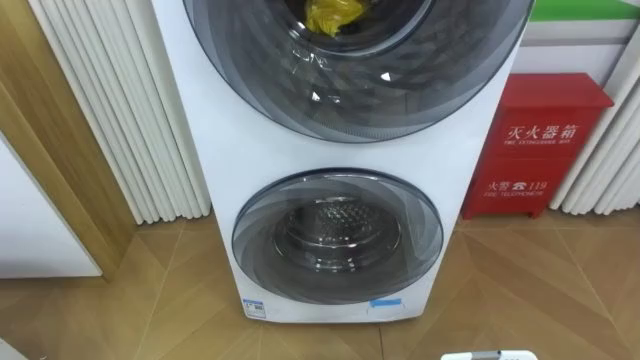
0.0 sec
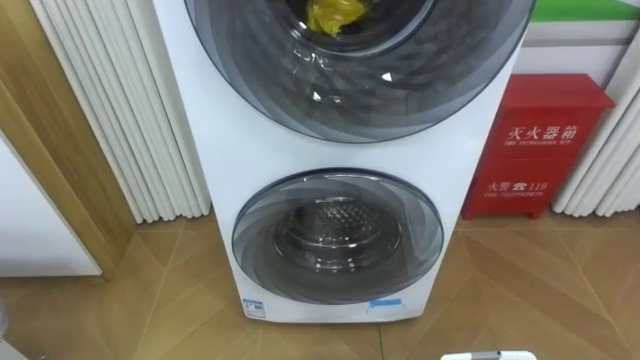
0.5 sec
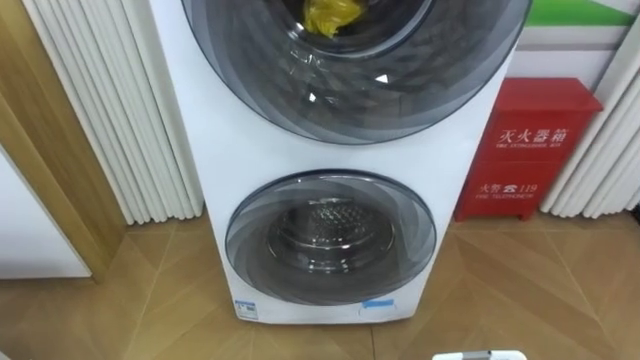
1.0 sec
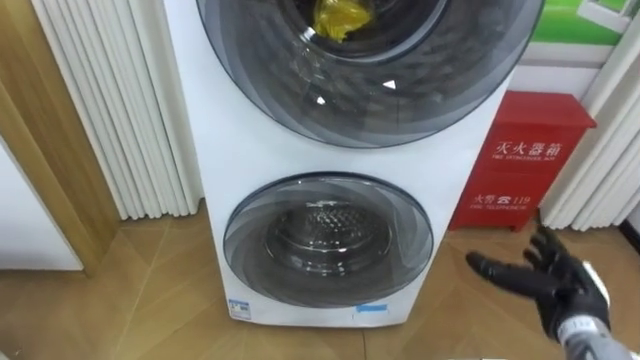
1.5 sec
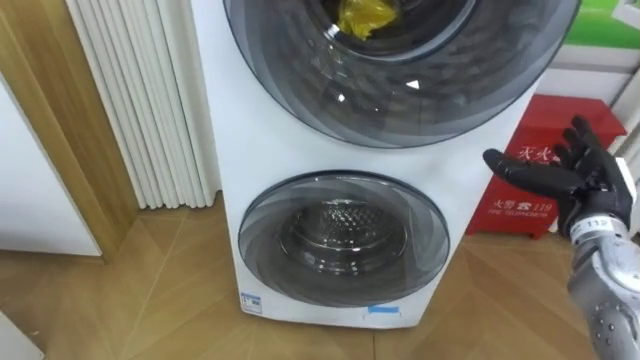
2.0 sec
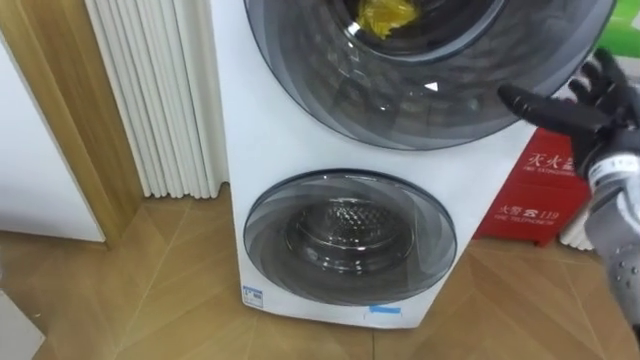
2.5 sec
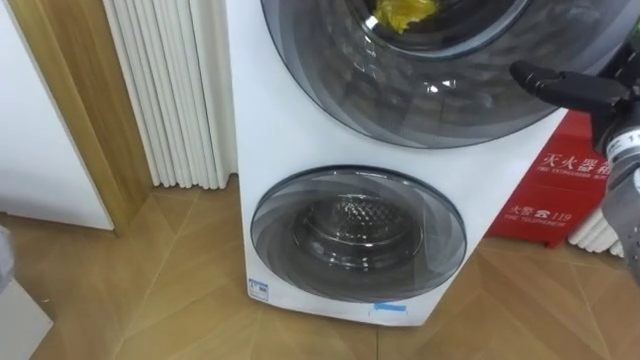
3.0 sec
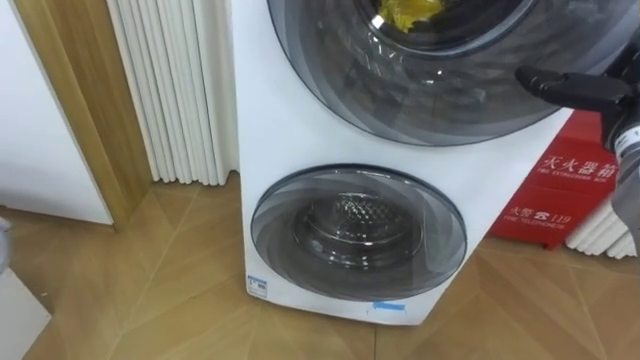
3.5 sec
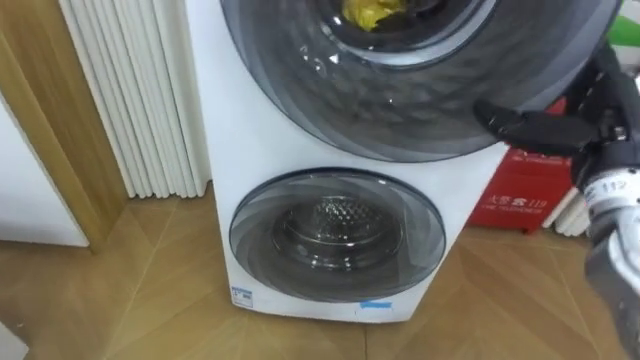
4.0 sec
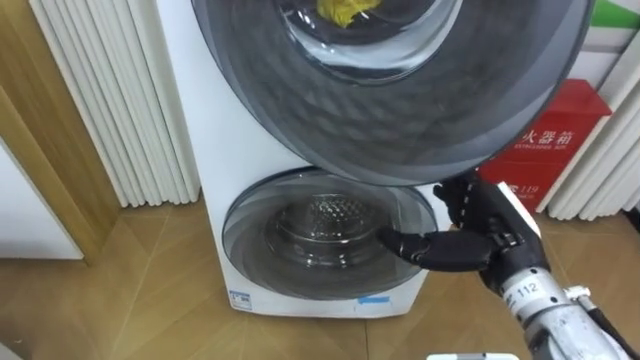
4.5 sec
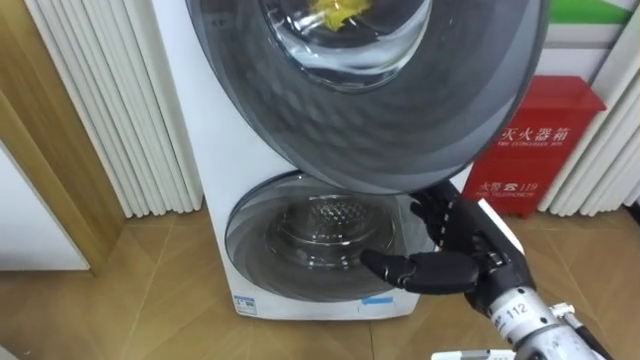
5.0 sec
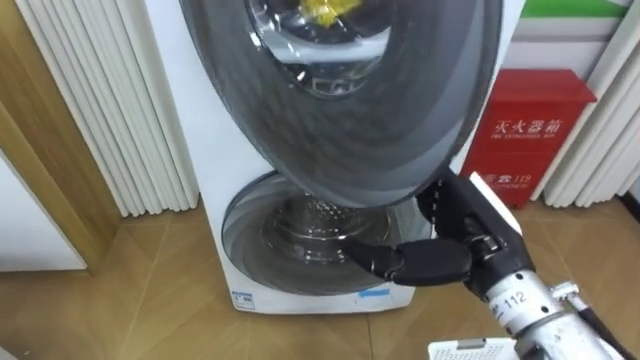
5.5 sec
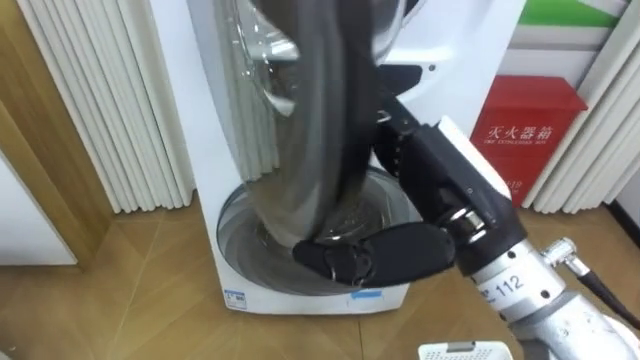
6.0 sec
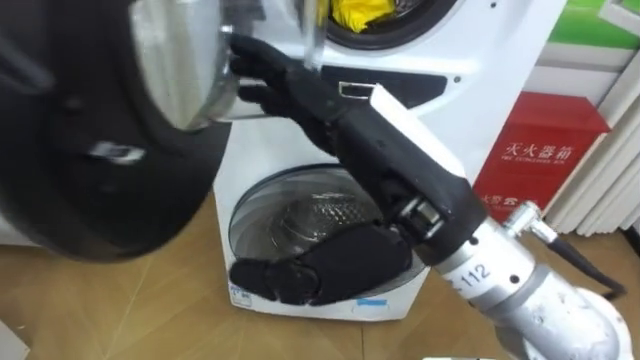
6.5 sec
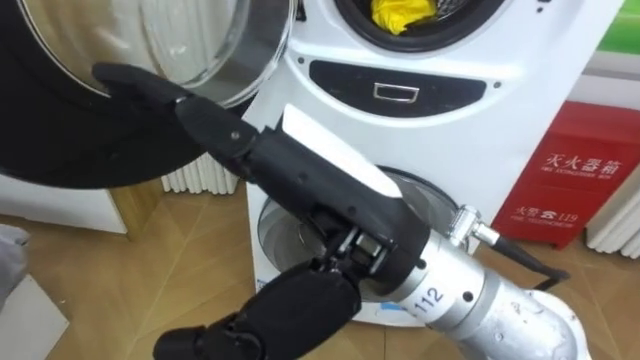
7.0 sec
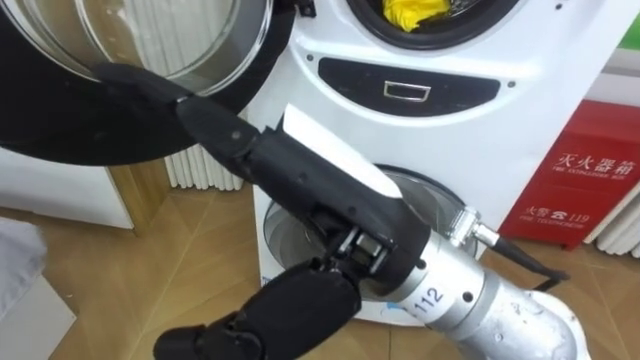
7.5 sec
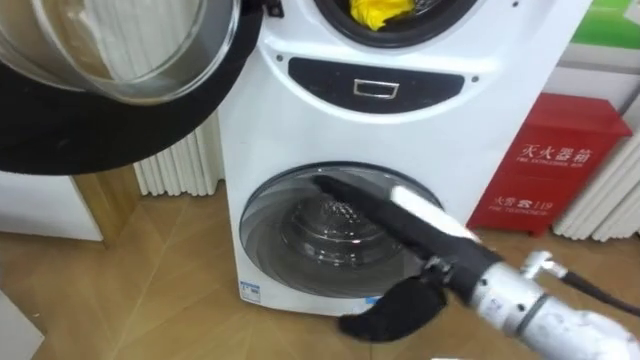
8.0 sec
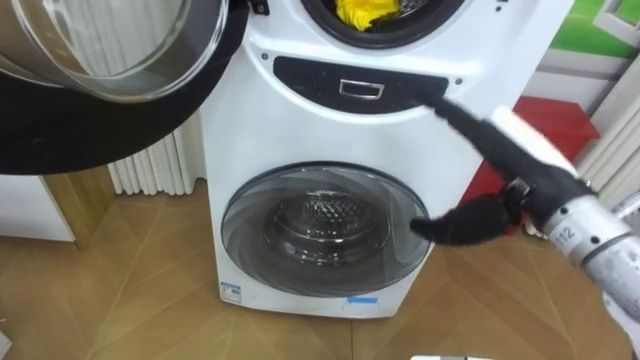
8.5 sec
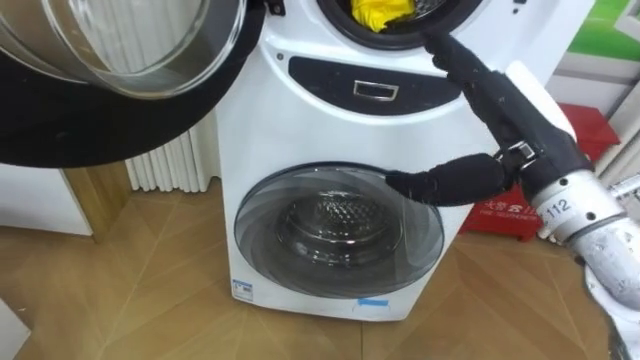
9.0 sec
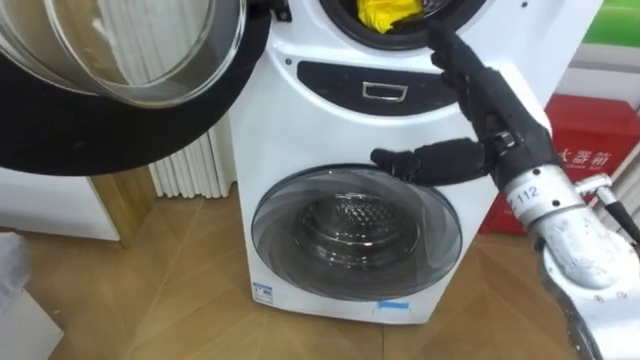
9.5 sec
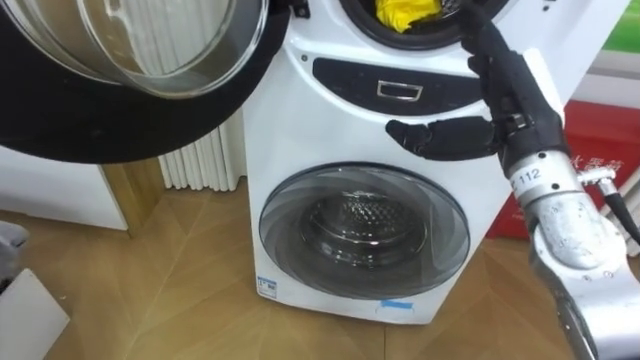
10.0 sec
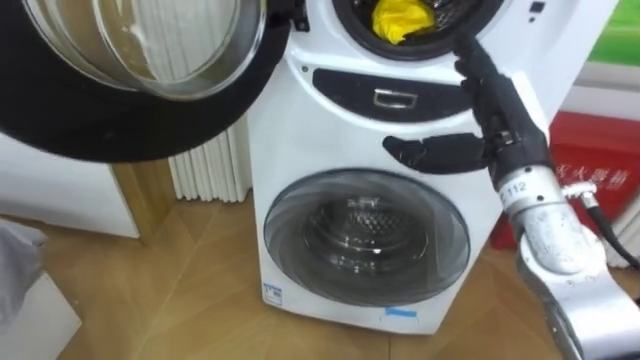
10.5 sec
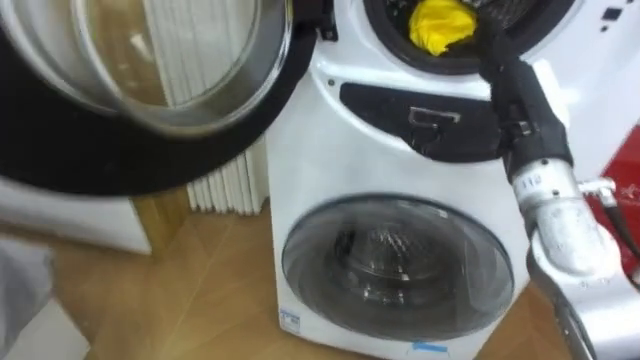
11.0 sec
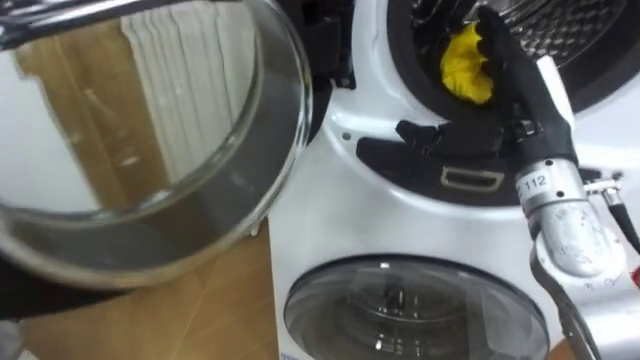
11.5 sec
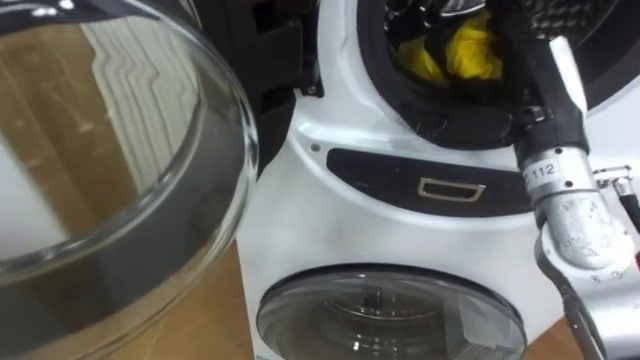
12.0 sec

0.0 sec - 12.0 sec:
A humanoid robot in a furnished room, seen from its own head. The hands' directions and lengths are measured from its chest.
Task of the whole recording: Open the washing machine door, take out the yellow clothes, place them in the box on the right, and close the washing machine door.
2.0 sec - 4.0 sec: The right hand shifts about 10 cm upward.
4.0 sec - 6.0 sec: The right hand moves to the left and backward, some 20 cm.
6.0 sec - 8.0 sec: The right hand moves downward, approximately 5 cm.
8.0 sec - 10.0 sec: The right hand travels forward, to the right and upward by roughly 15 cm.

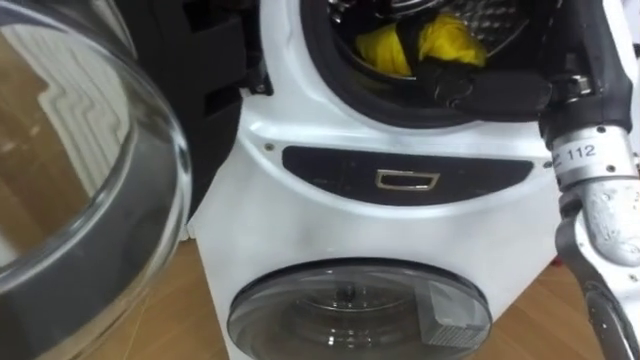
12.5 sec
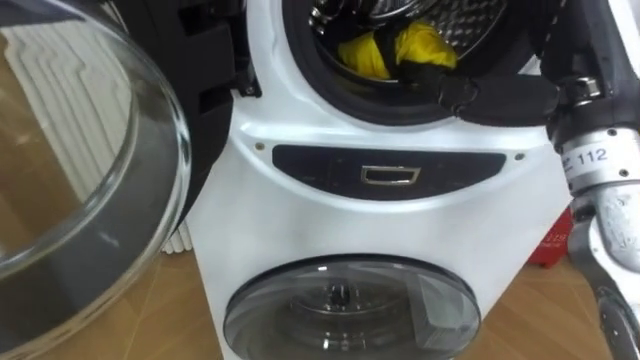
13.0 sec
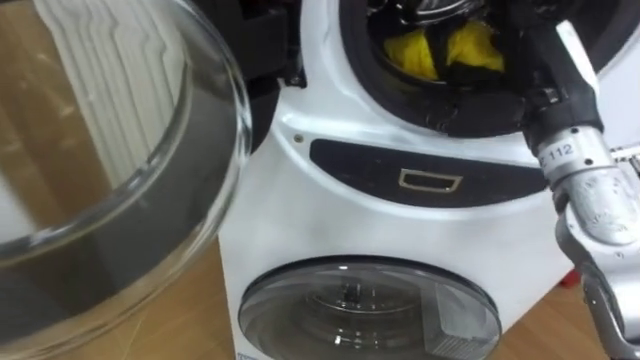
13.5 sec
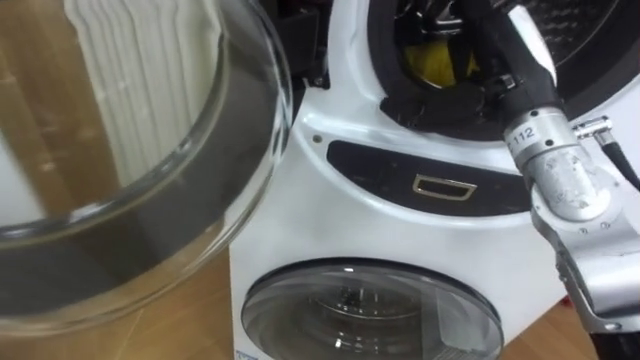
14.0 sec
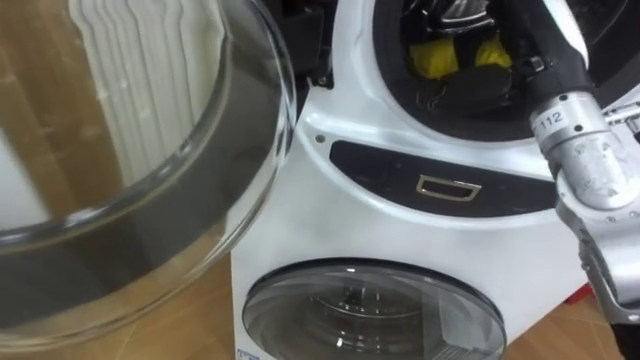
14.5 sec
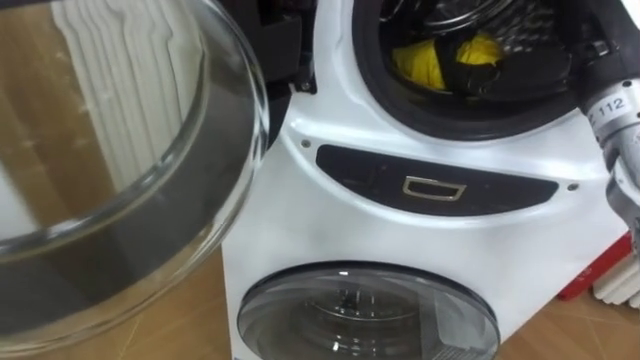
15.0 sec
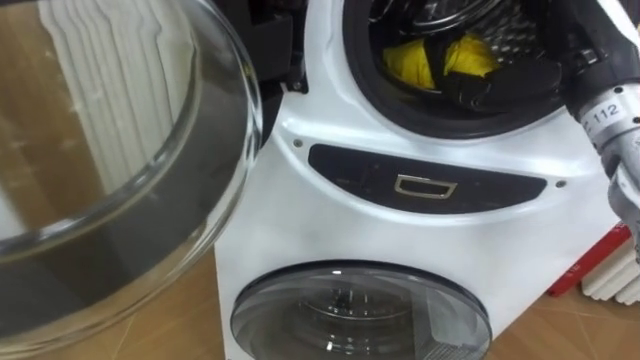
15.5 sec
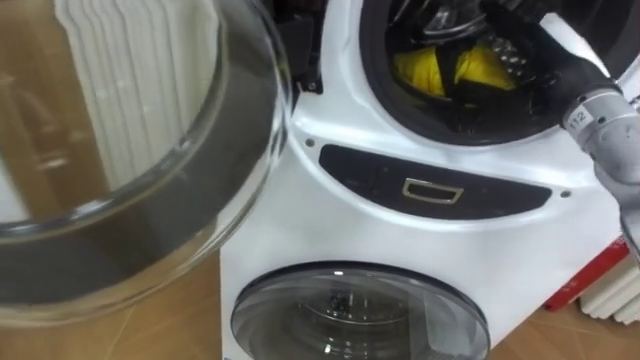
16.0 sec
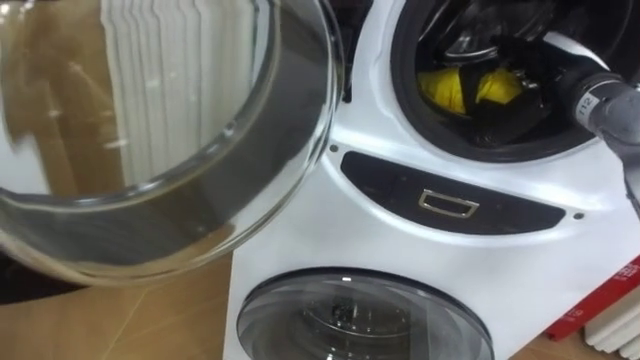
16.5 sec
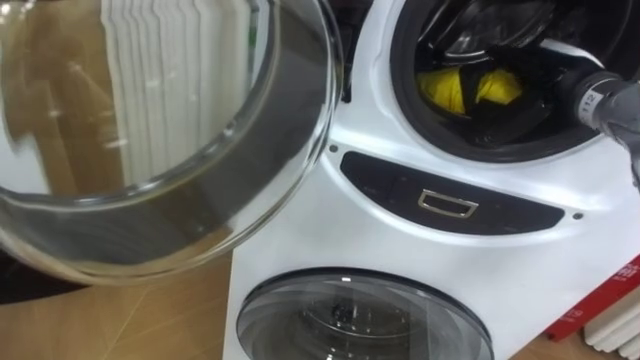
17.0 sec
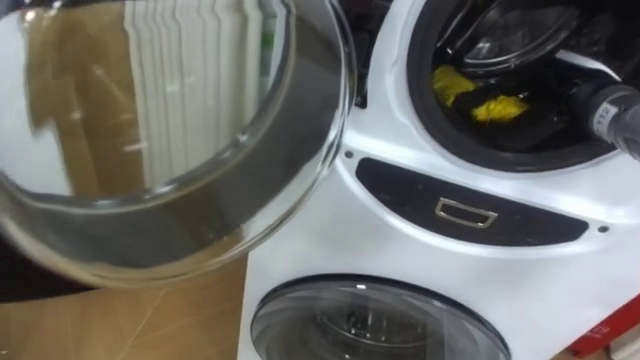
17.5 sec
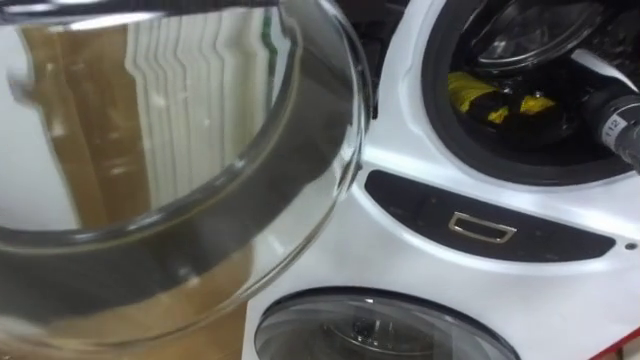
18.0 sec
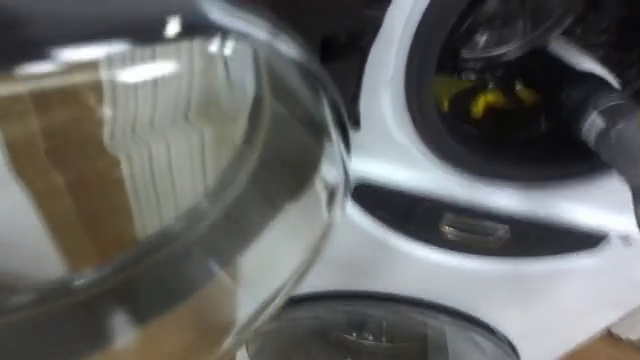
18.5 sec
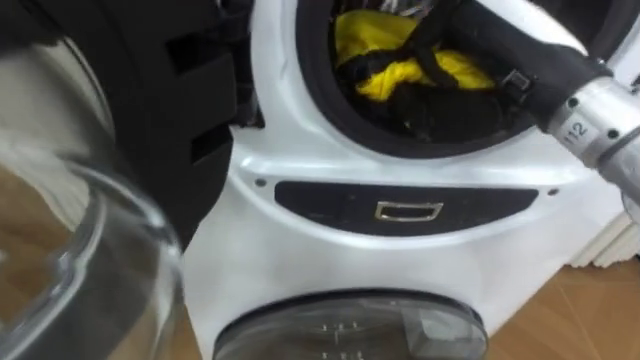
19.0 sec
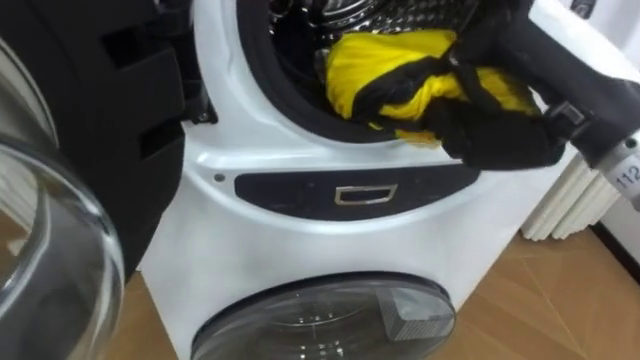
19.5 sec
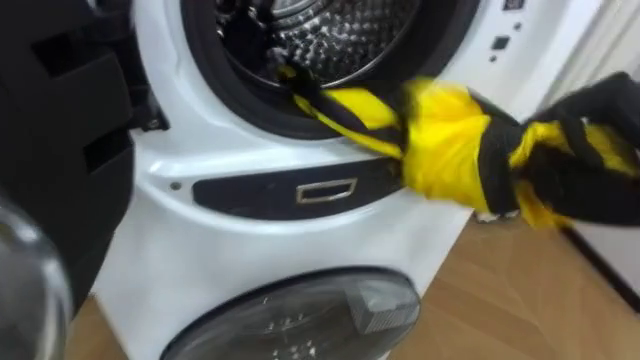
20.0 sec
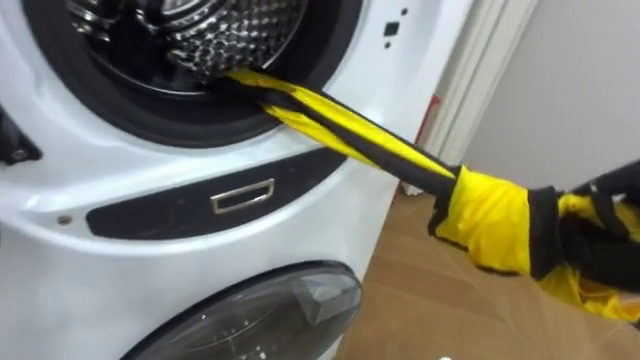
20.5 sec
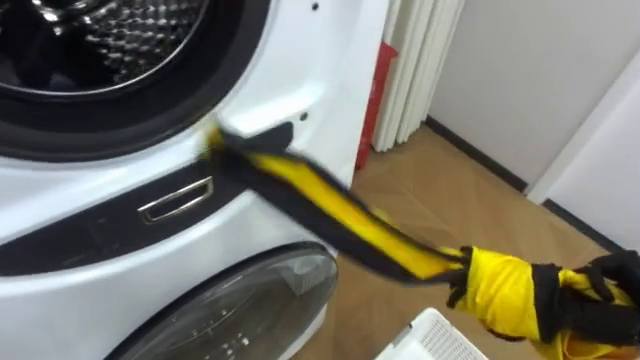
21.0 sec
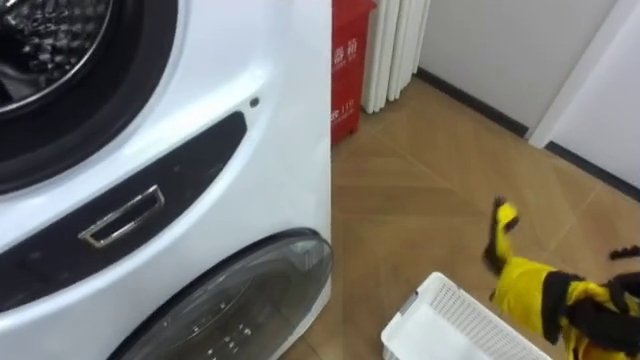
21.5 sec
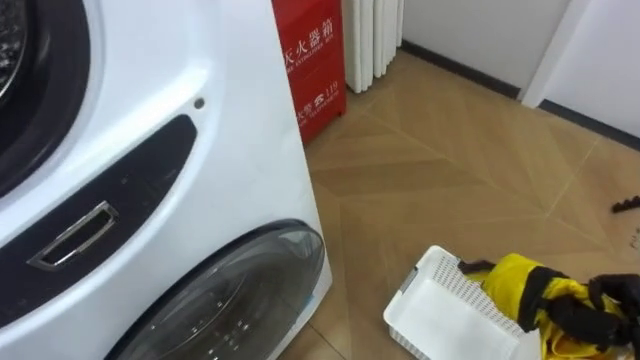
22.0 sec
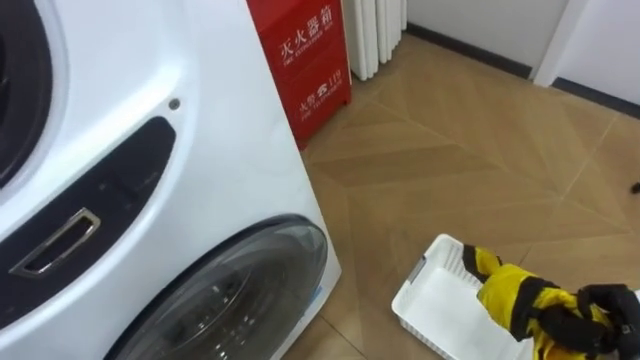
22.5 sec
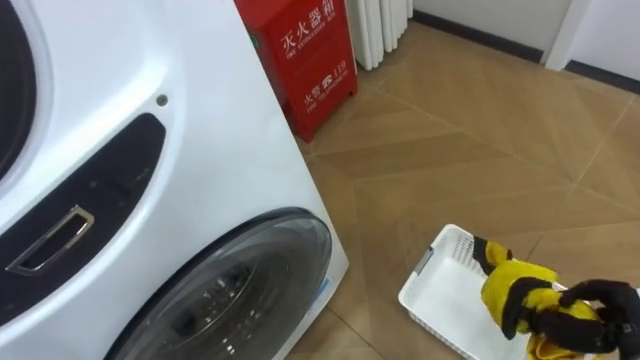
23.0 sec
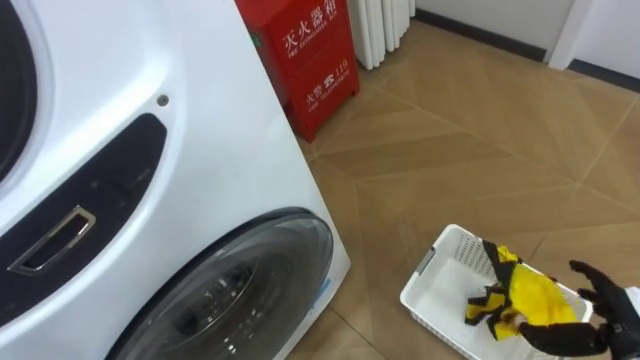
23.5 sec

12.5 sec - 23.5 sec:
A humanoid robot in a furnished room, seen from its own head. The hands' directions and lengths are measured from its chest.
Task of the whole recording: Open the washing machine door, take out the yellow clothes, place them in the box on the right, and close the washing machine door.
14.5 sec - 16.0 sec: The right hand moves roughly 5 cm.
16.0 sec - 18.0 sec: The right hand heads to the right and downward, covering some 5 cm, and closes.
20.0 sec - 21.5 sec: The robot turns to its right by some 20 degrees.
